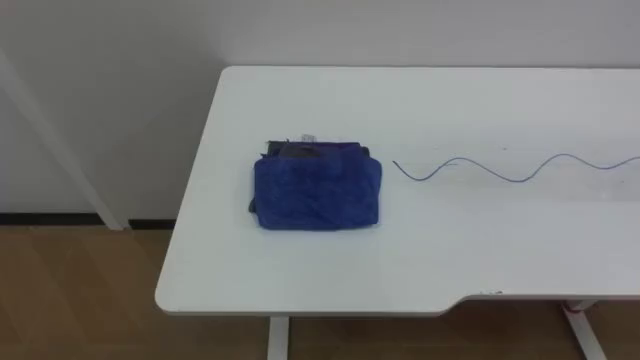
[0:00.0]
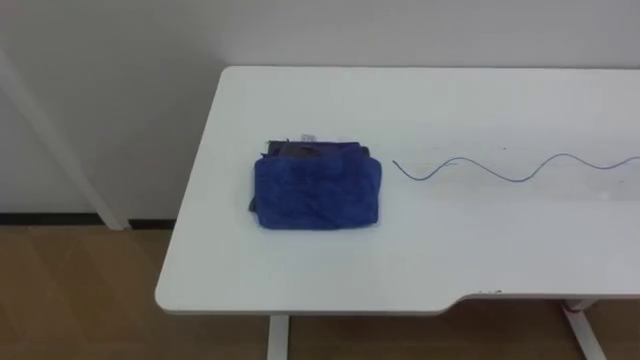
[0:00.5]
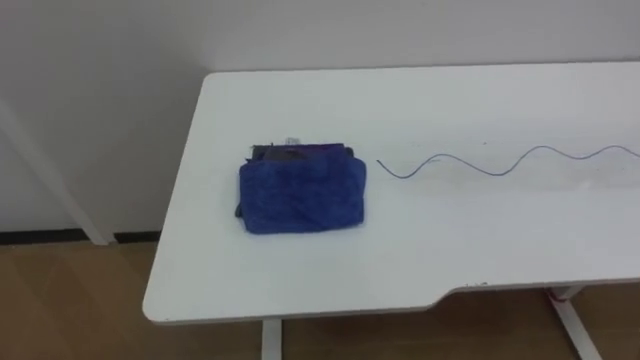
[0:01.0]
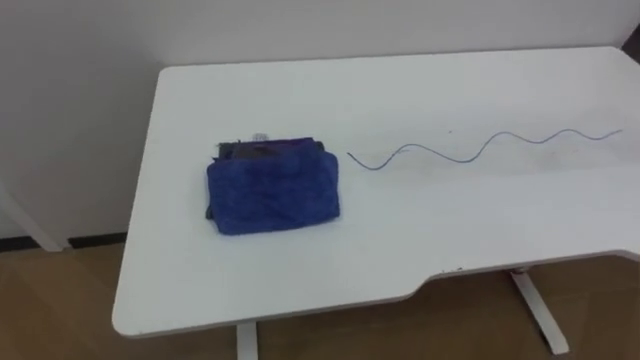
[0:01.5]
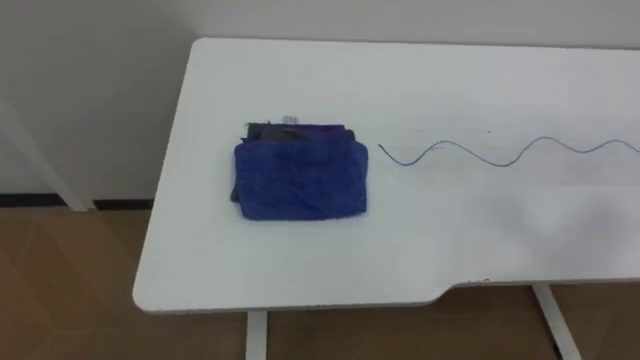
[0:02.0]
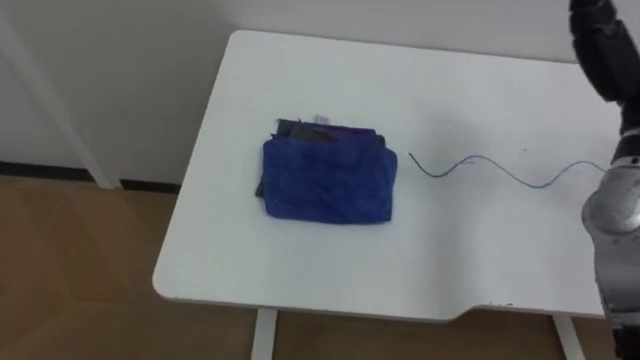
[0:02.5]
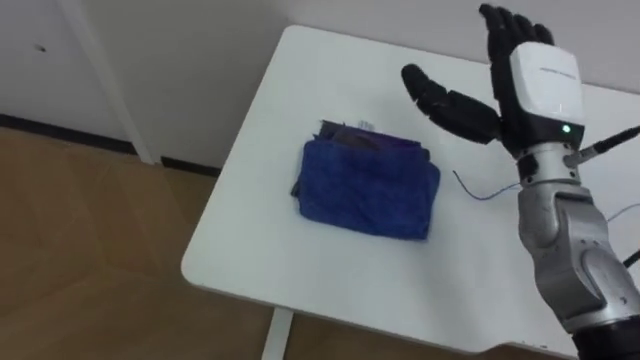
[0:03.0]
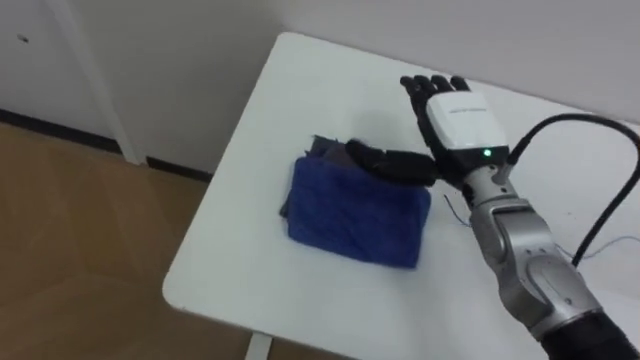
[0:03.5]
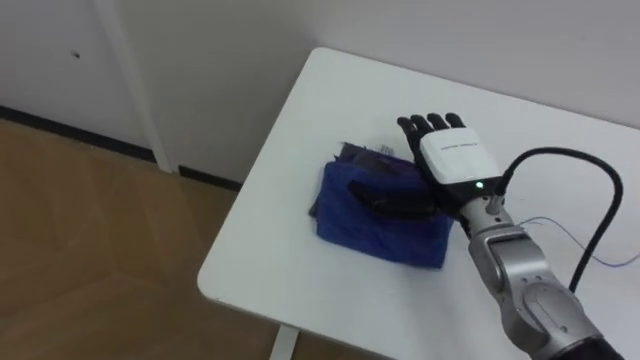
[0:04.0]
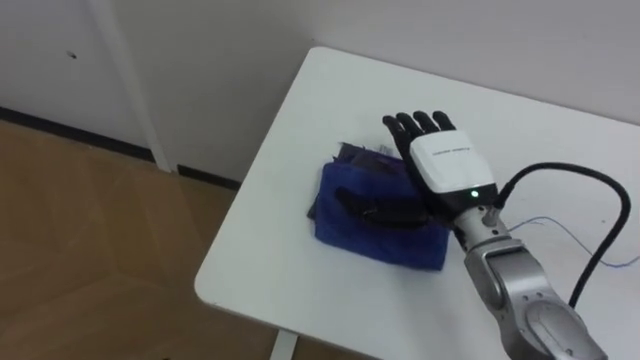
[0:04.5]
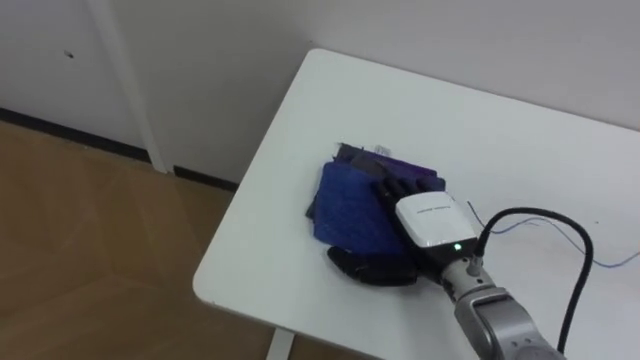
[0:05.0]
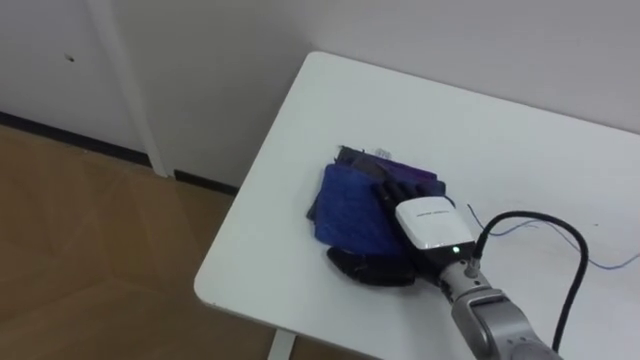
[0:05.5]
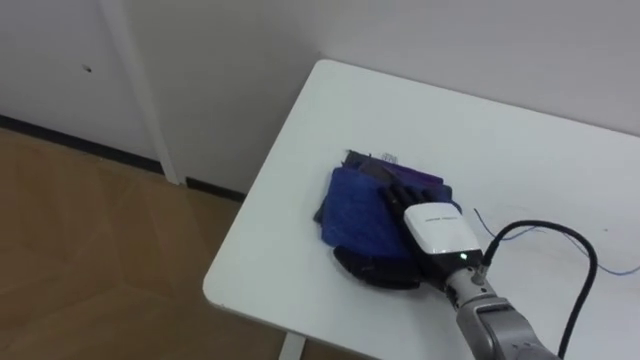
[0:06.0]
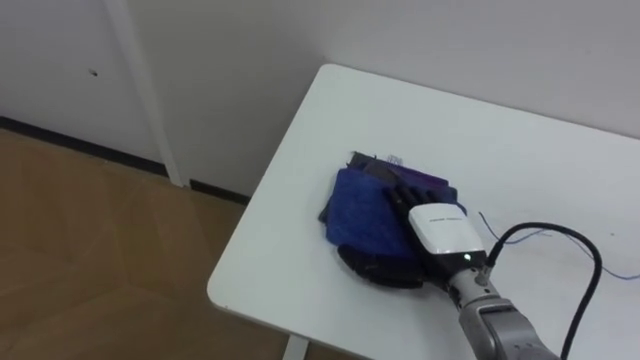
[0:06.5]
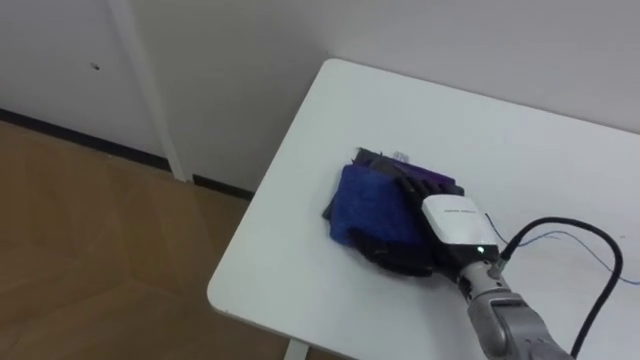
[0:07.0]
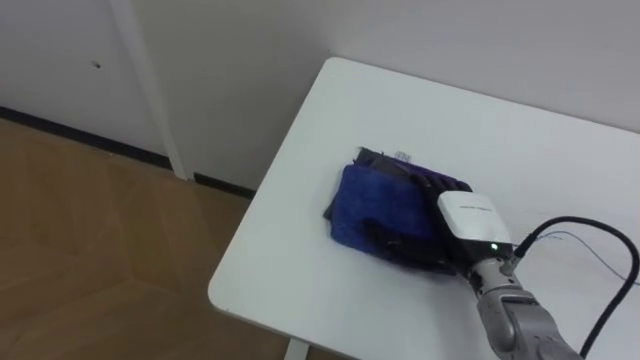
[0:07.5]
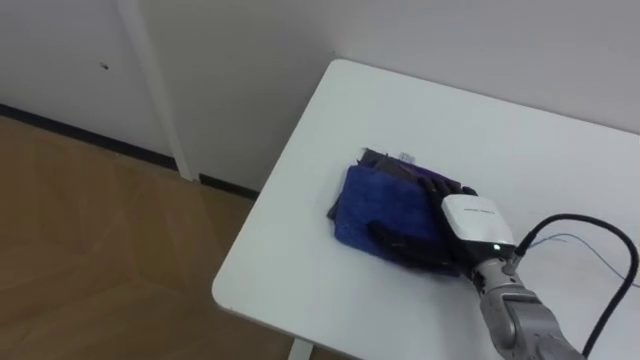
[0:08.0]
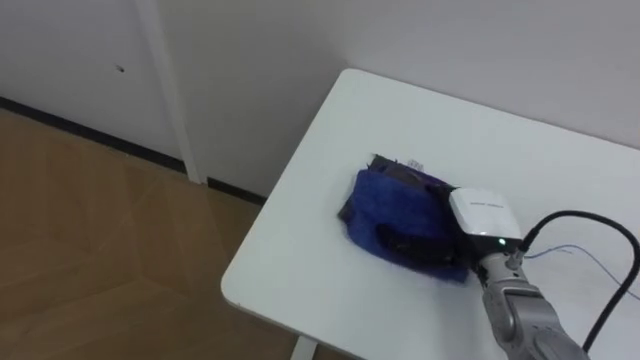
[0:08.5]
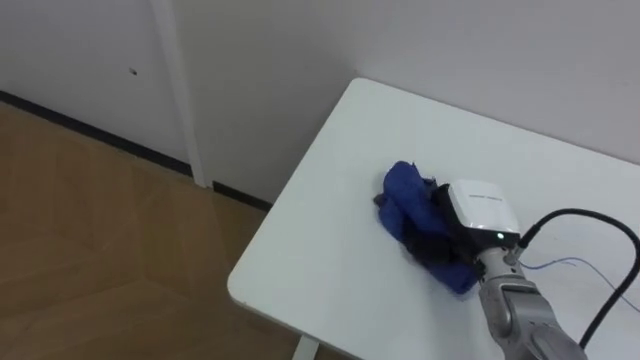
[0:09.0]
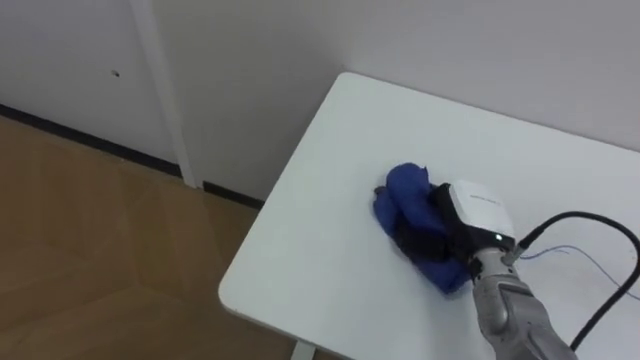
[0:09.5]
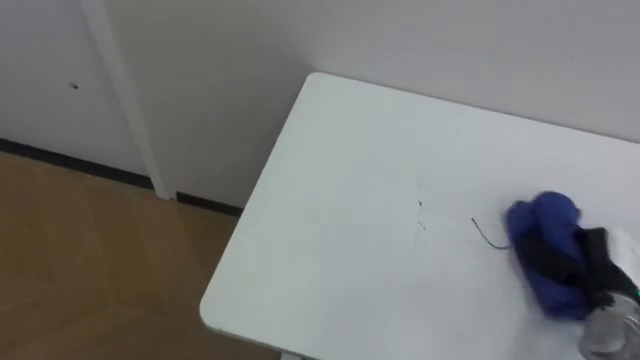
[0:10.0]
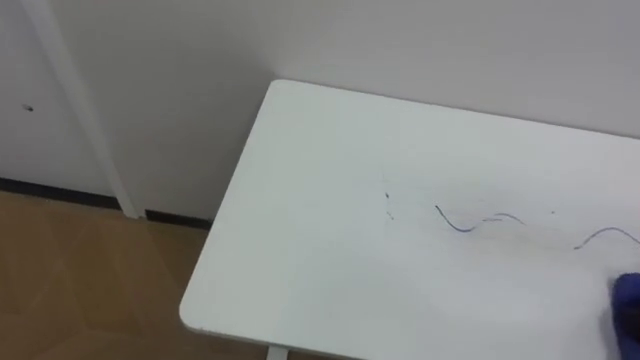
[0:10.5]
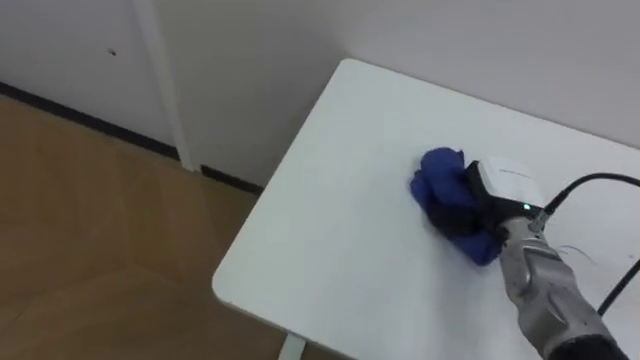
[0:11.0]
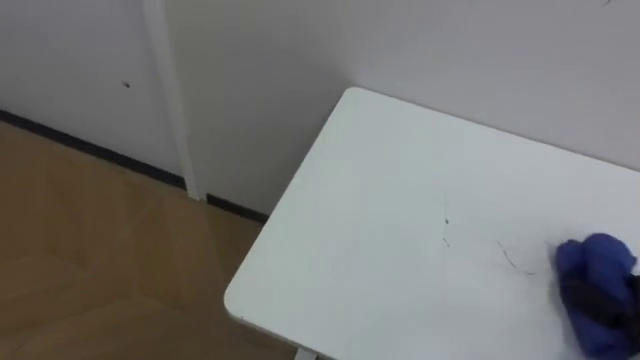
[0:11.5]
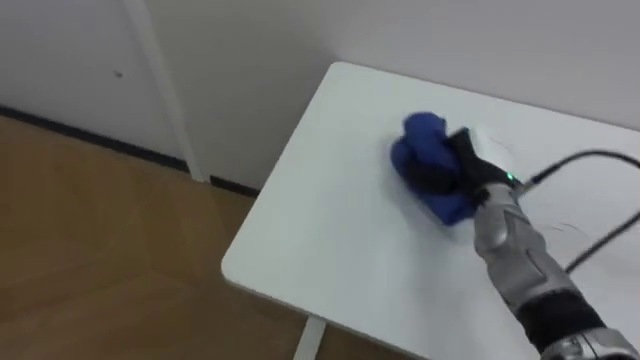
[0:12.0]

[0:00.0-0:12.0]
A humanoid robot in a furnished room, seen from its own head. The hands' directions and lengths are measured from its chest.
Task of the whole recording: Wipe the blue pen marks off the table with the rag.
0:04.0 to 0:06.0: The right hand heads downward and backward, covering about 10 cm.
0:08.0 to 0:10.0: The right hand travels to the right by about 15 cm, and closes.

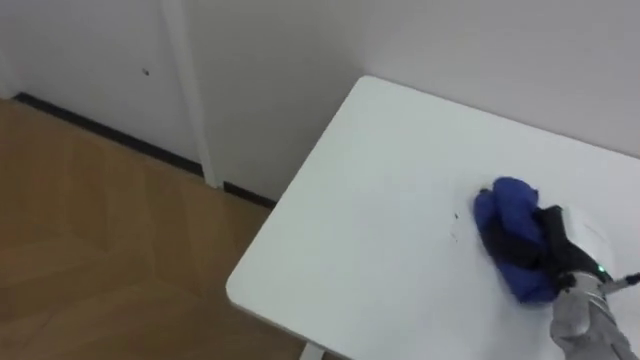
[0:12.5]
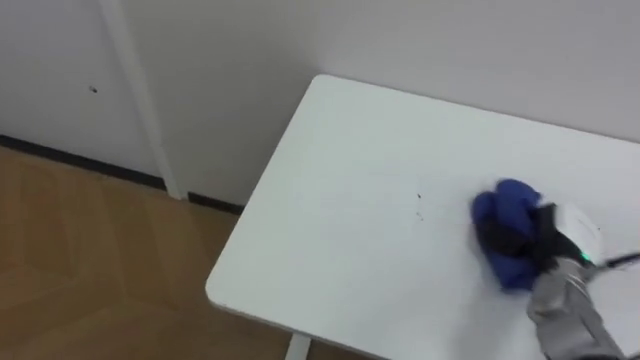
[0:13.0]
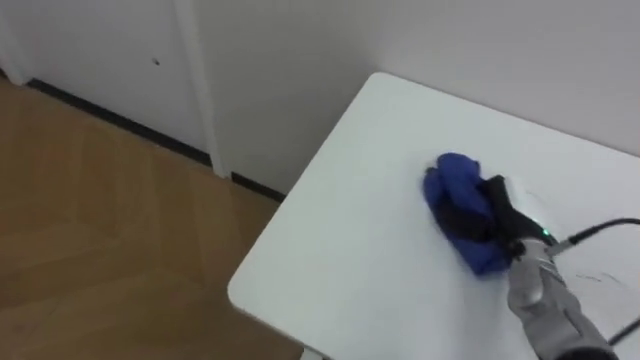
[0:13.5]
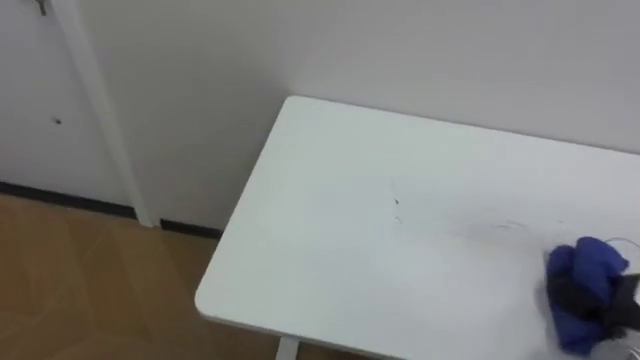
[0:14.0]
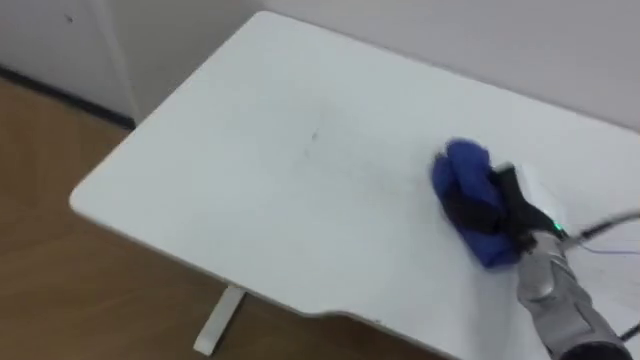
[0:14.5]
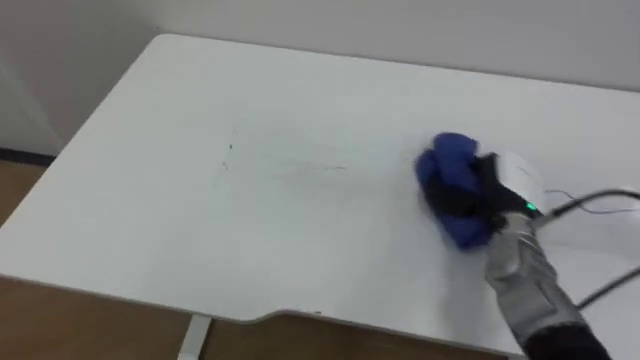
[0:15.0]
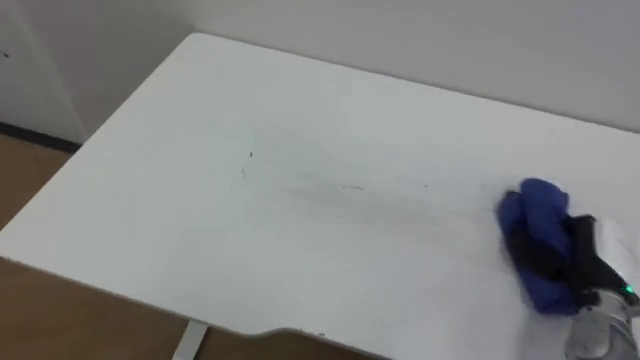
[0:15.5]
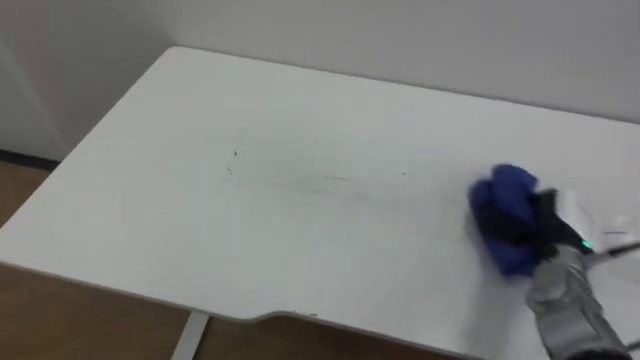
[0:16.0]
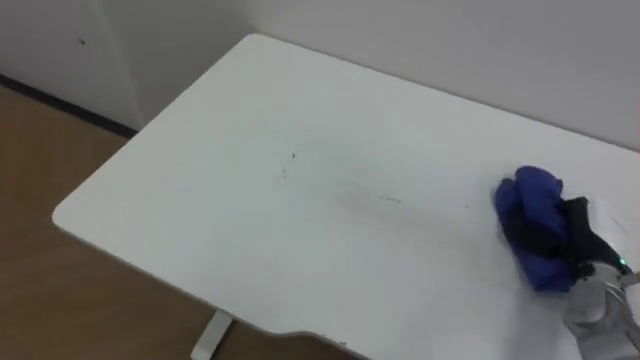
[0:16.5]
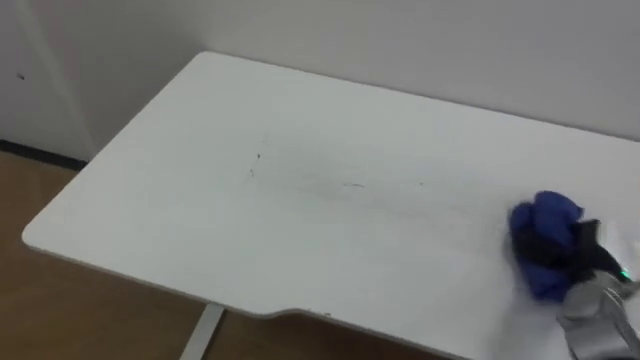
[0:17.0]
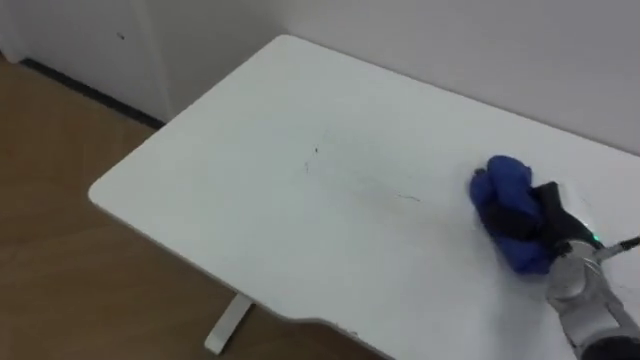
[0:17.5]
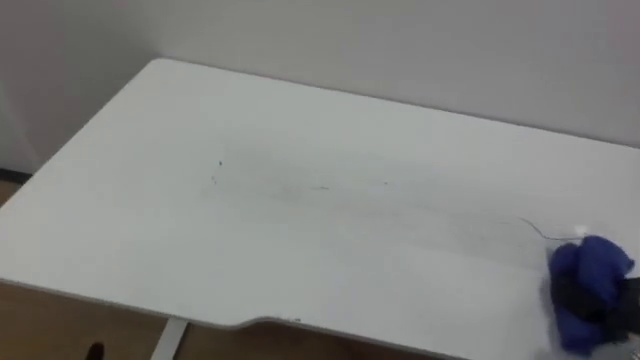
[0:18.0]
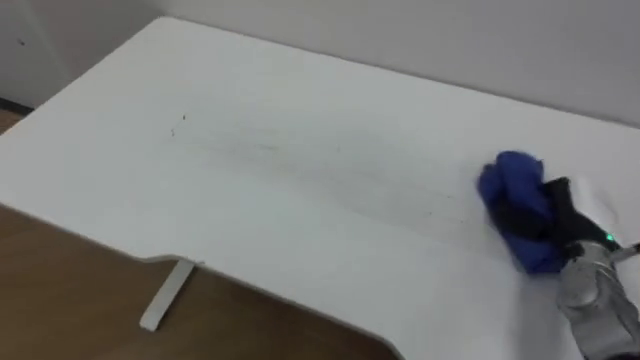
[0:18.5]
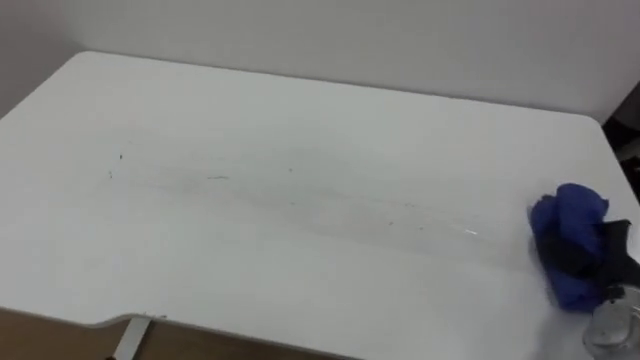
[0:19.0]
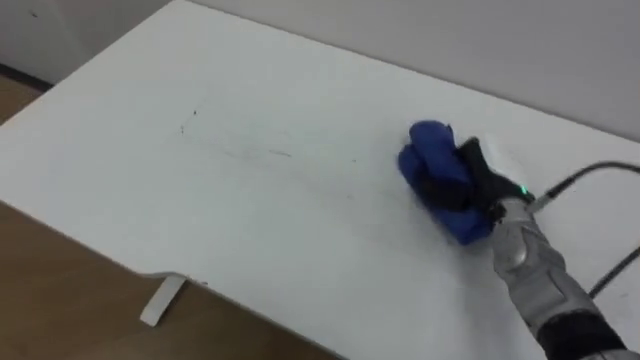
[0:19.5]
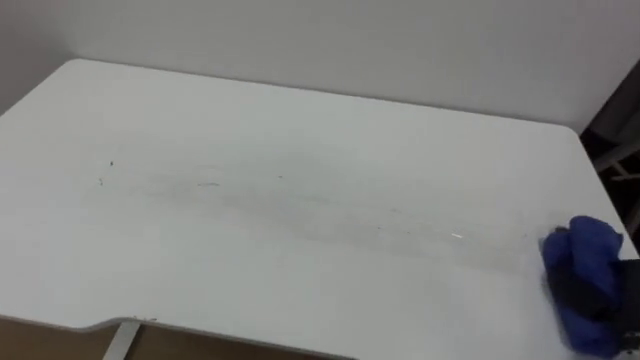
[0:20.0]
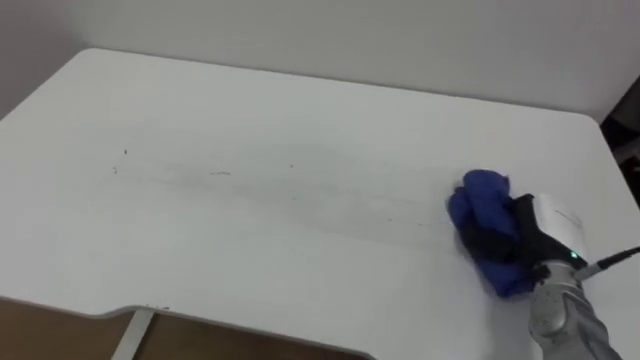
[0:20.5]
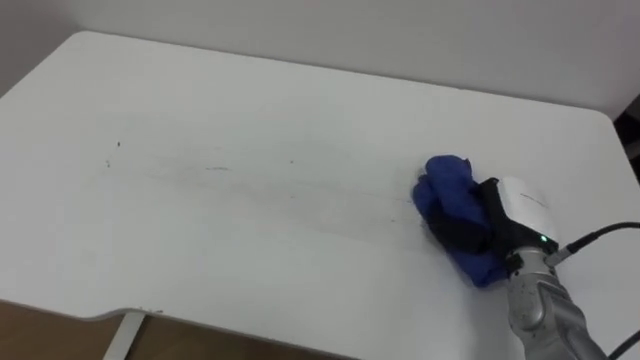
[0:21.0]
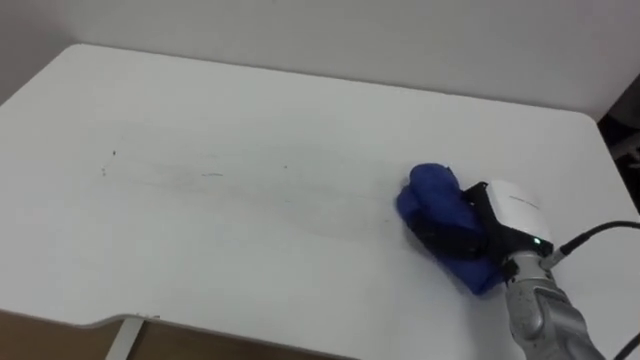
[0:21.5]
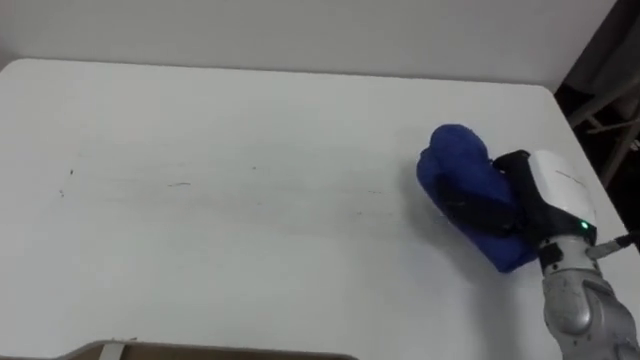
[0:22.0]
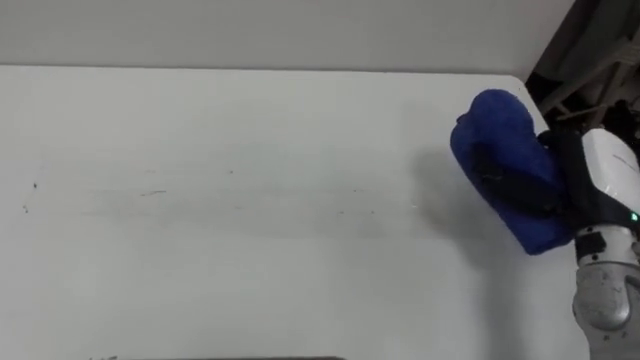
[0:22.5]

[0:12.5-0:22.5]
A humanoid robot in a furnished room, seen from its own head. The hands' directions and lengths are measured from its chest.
Task of the whole recording: Wipe the blue pen marks off the table with the rag.
0:12.5 to 0:14.5: The right hand moves forward and backward over about 15 cm, changing direction 2 times.
0:18.5 to 0:20.5: The right hand goes forward and backward, some 15 cm each way, reversing 3 times.
0:20.5 to 0:22.5: The right hand heads upward, covering approximately 10 cm.
